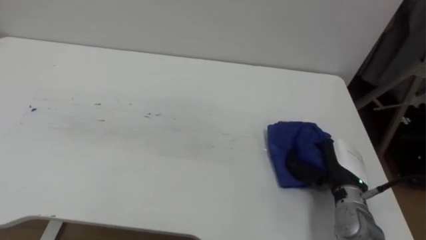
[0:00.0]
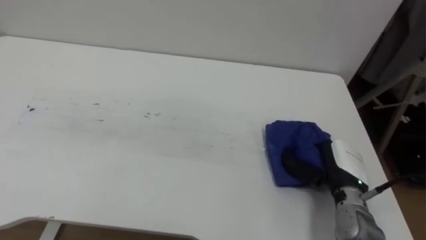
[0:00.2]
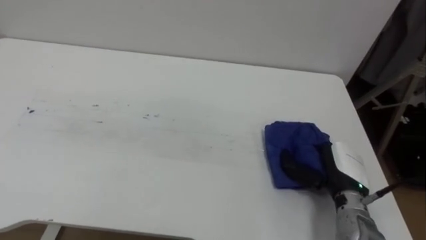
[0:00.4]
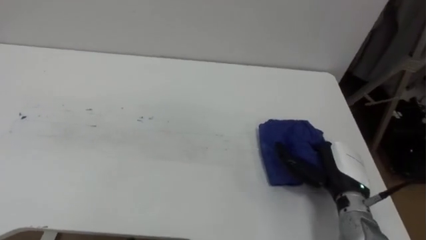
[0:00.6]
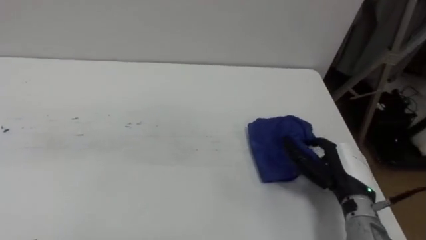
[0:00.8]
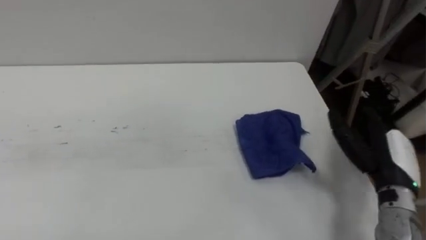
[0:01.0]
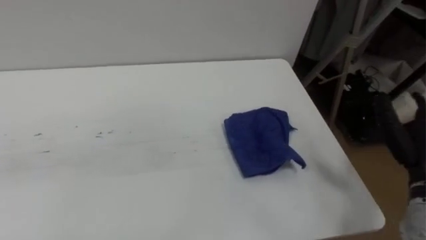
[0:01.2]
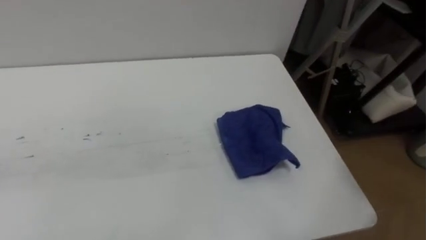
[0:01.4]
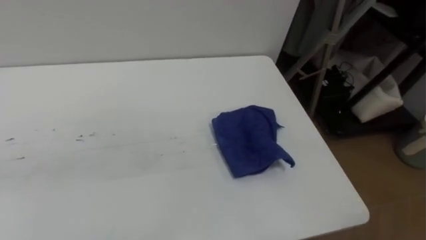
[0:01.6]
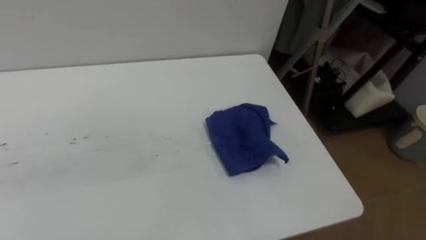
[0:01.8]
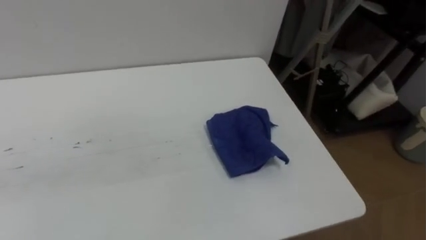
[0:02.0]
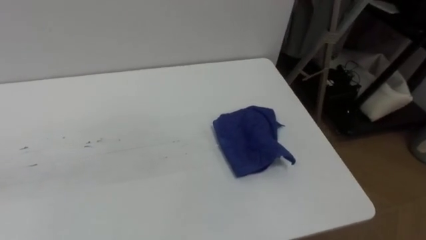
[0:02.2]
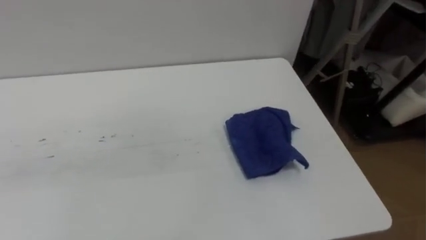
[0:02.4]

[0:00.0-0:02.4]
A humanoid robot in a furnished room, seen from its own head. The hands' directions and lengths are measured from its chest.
Task of the whole recording: Wipe the blue pen marks off the table with the rag.
0:00.0 to 0:01.2: The right hand shifts approximately 15 cm to the right and upward, and opens up.

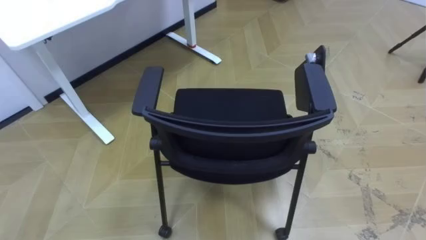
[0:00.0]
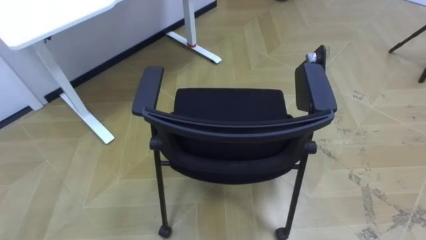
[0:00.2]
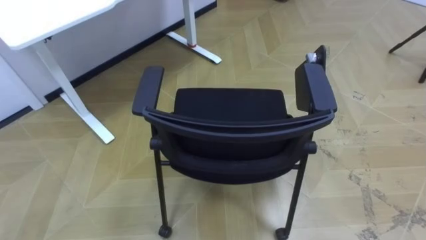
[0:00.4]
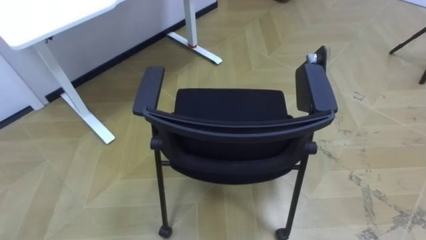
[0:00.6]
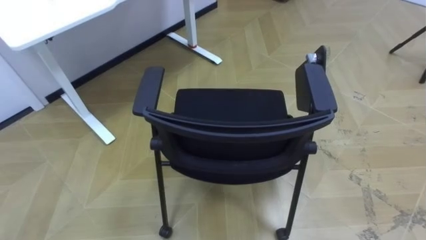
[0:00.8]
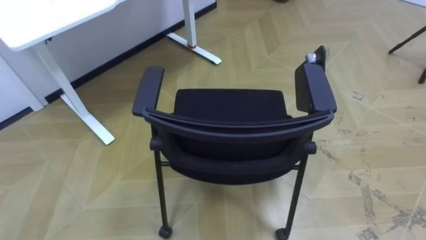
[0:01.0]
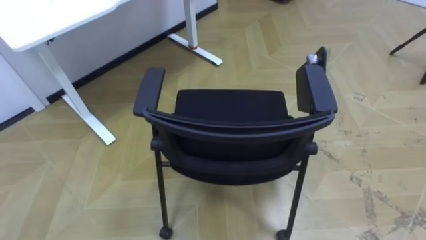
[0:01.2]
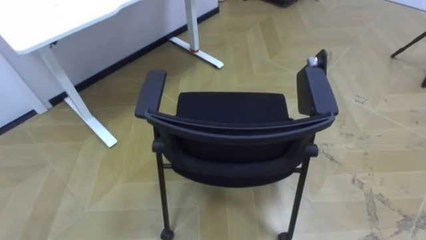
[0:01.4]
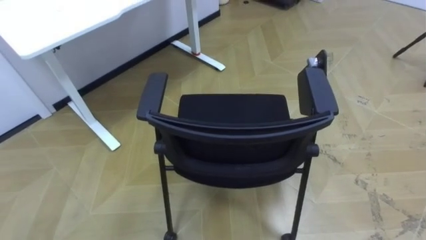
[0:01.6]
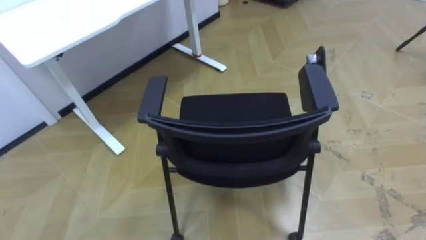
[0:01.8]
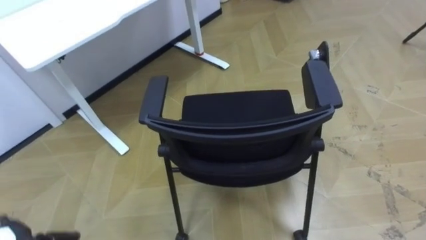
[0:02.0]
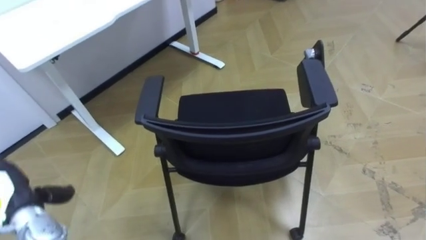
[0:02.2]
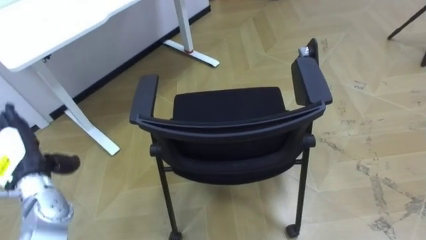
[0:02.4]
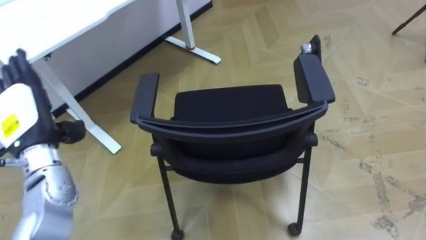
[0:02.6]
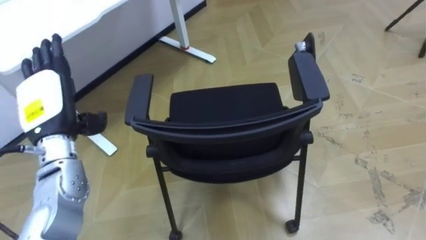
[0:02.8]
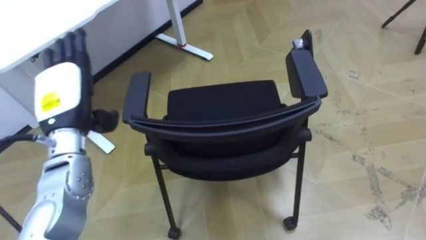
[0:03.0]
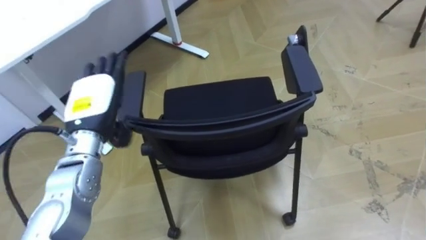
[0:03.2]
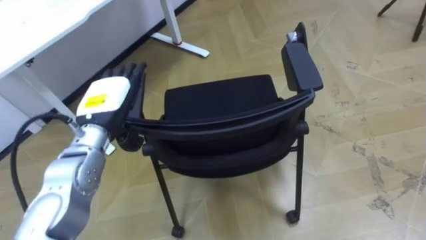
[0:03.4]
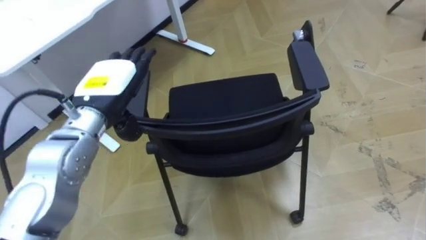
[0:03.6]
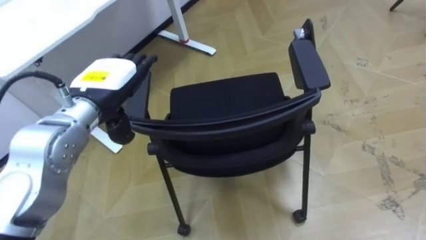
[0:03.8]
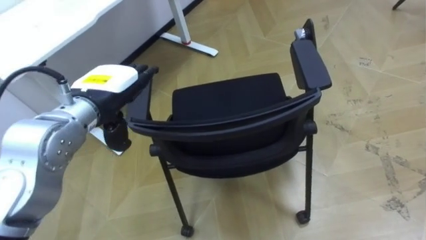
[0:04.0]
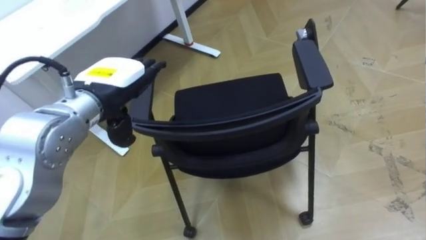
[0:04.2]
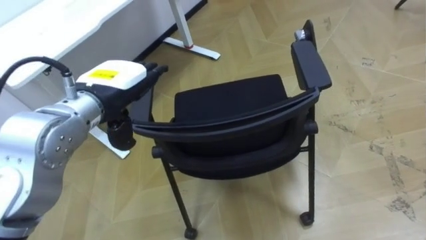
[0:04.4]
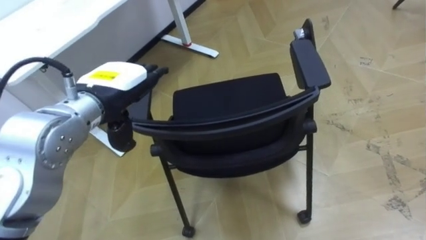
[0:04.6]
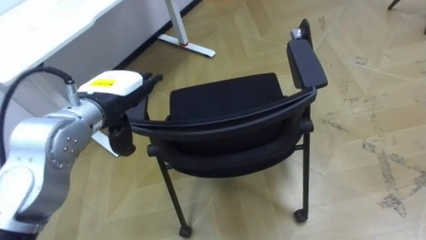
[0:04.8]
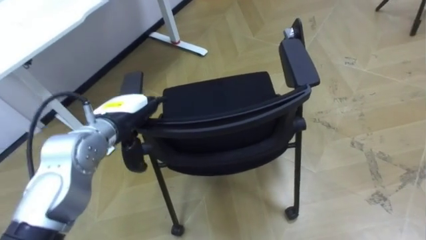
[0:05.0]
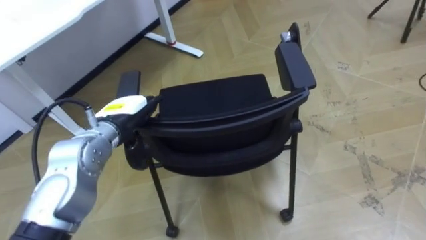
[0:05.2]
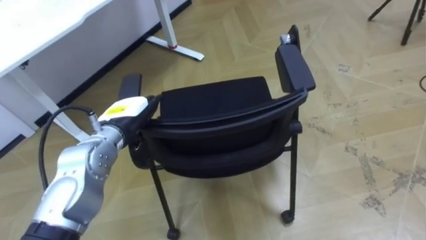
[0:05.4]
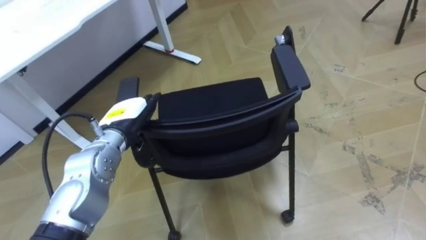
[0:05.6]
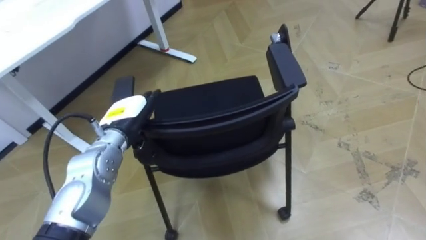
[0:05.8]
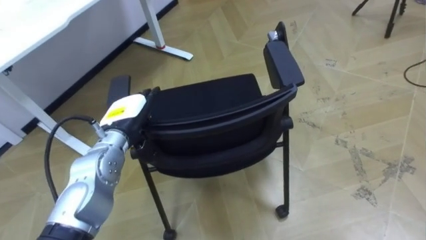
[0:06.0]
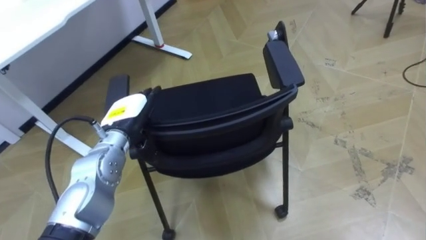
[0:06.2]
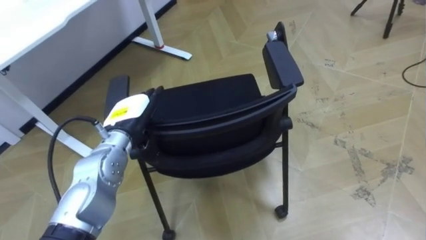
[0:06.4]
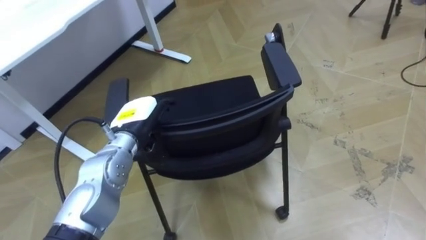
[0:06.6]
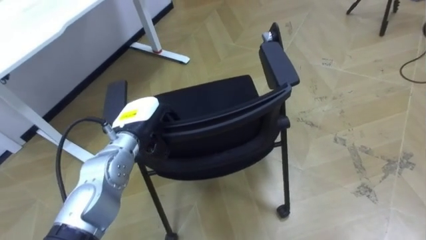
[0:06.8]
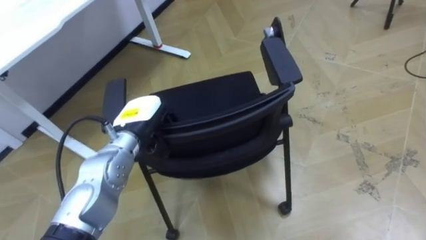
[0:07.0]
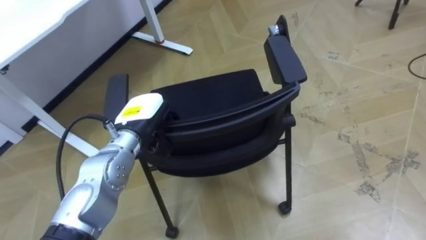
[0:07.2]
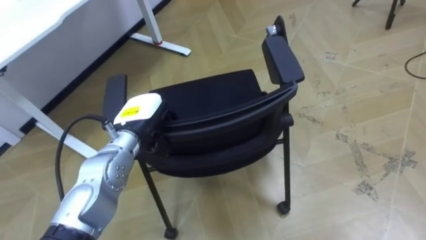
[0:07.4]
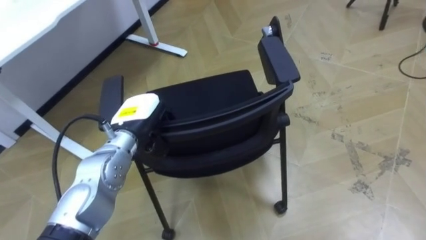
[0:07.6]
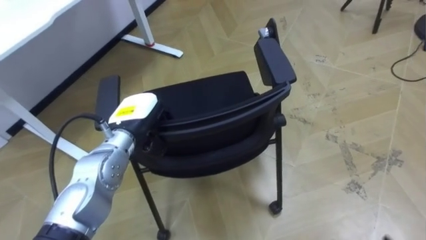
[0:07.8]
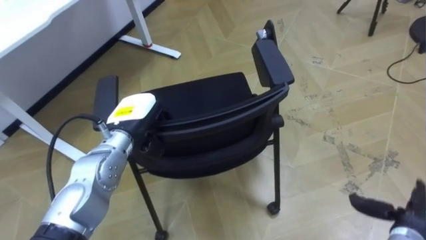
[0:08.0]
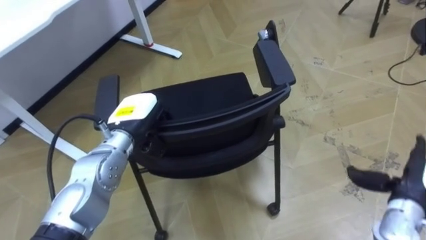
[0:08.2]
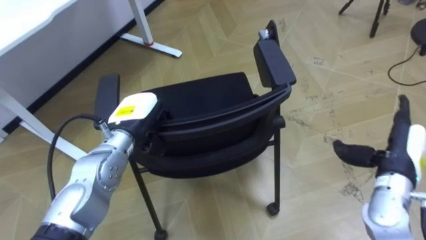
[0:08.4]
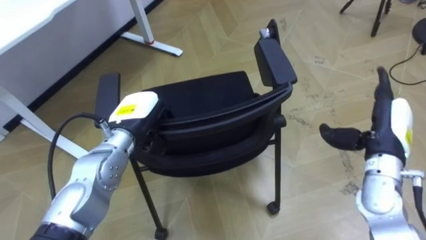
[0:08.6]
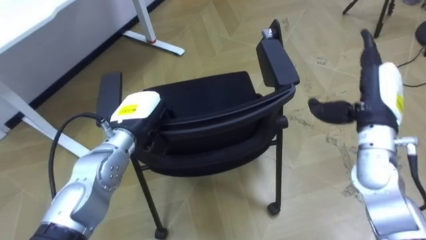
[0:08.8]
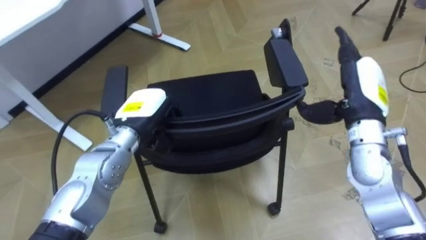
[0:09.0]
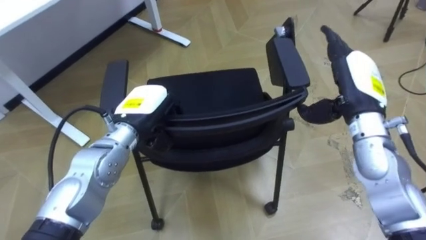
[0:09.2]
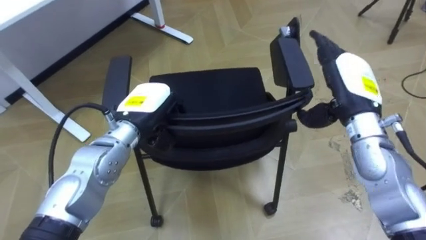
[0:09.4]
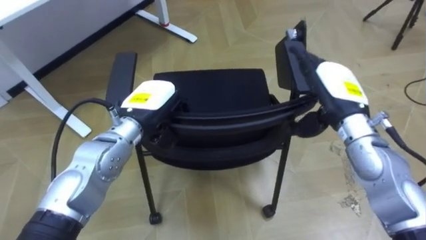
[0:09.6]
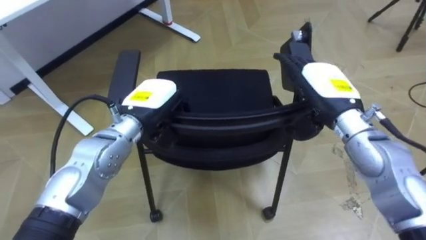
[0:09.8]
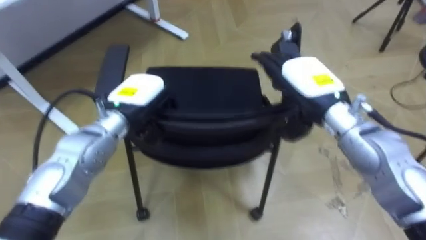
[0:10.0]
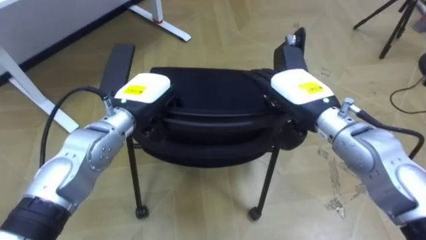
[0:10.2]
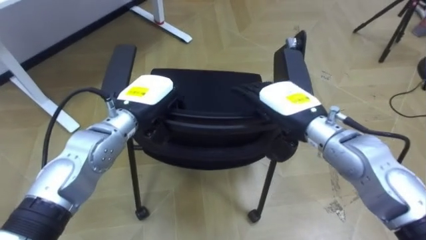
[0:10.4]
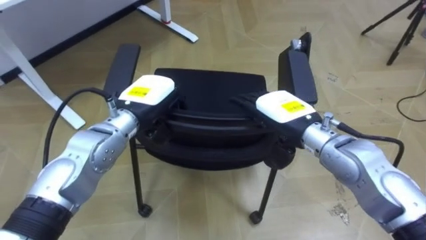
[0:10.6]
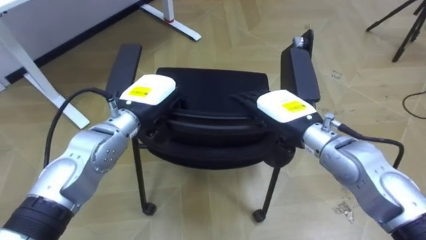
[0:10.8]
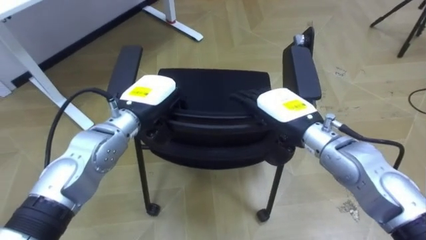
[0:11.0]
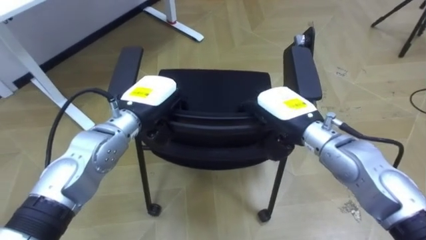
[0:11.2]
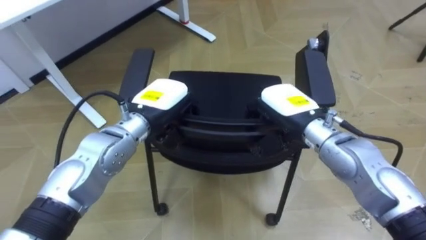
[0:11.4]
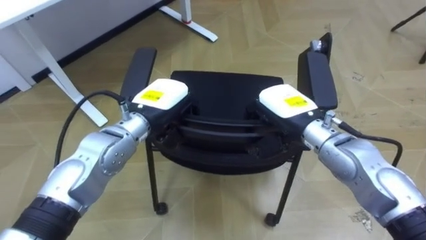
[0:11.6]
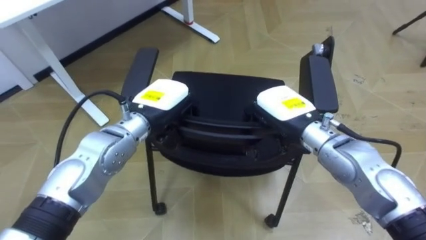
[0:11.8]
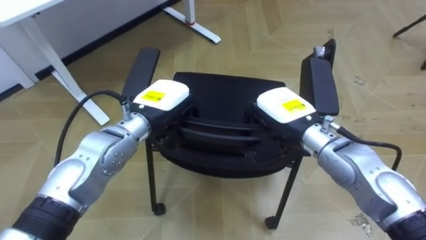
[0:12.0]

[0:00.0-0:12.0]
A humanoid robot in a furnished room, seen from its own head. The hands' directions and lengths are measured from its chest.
Task of the whole recording: Push the chair under the table.
0:03.0 to 0:04.4: The left hand is displaced to the right by approximately 10 cm.
0:04.4 to 0:06.0: The left hand shifts about 10 cm downward.
0:06.0 to 0:07.6: The left hand closes up.
0:09.0 to 0:10.4: The right hand moves to the left, some 10 cm.
0:10.4 to 0:12.0: The right hand closes up.

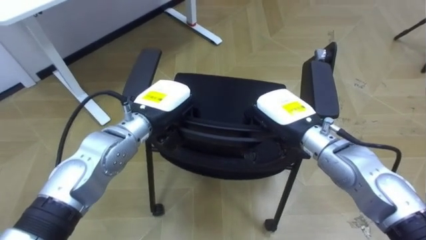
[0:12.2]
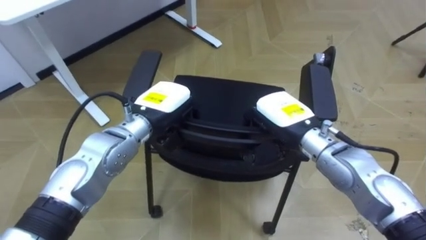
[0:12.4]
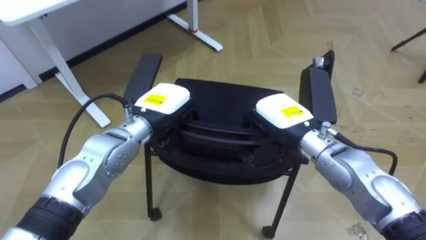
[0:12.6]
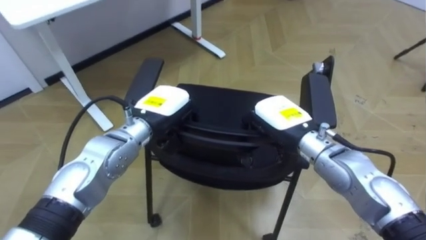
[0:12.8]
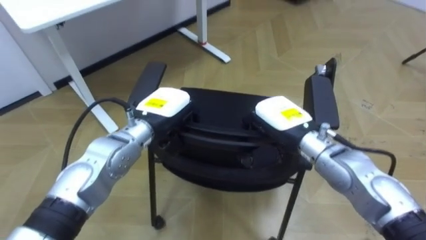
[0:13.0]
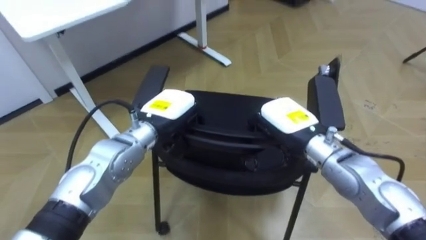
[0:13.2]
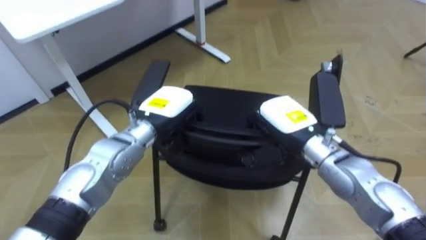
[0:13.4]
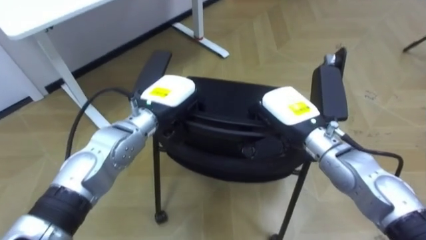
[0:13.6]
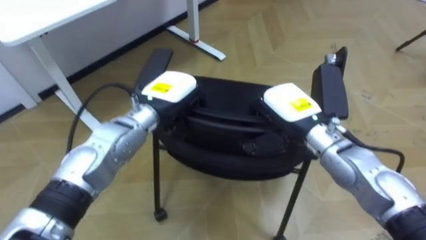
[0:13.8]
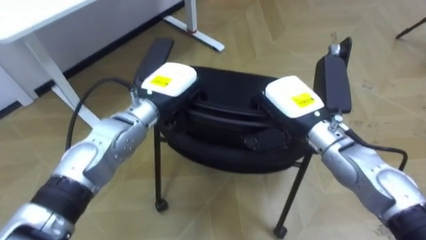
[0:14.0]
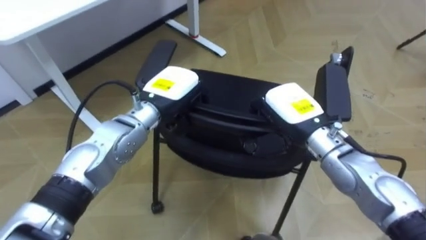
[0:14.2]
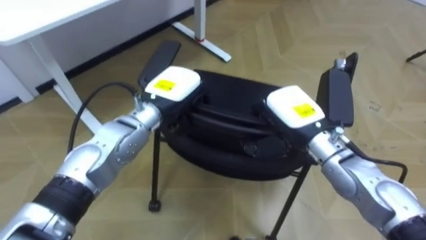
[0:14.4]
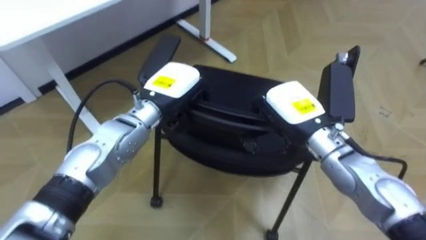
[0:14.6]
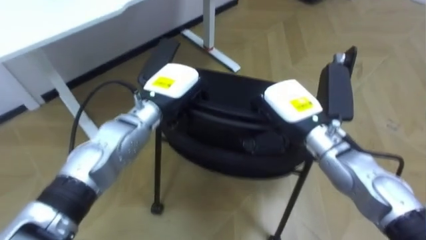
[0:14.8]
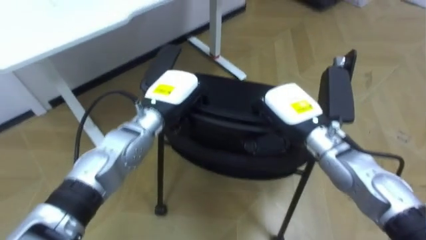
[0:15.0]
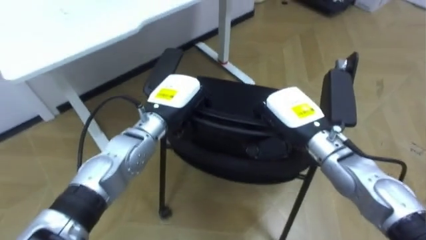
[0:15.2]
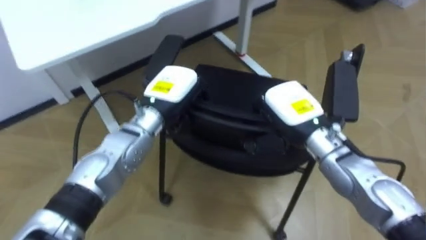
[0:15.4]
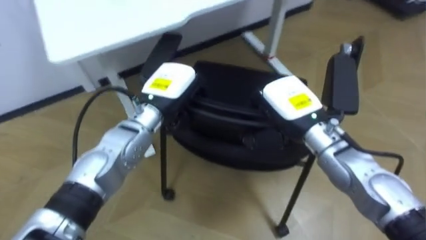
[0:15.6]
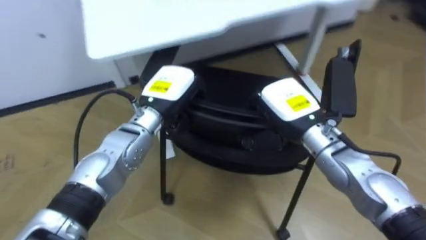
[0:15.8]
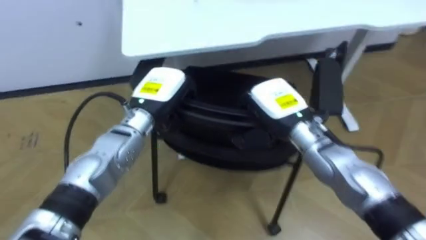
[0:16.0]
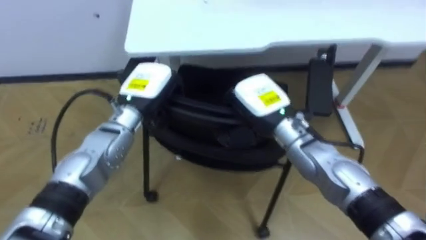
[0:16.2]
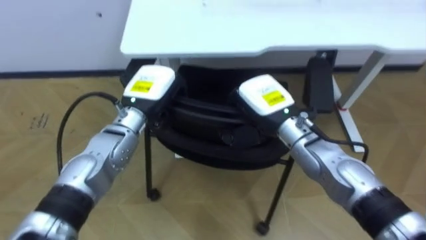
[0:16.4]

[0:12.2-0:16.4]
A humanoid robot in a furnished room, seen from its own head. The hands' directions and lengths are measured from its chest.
Task of the whole recording: Push the chair under the table.
0:15.0 to 0:16.4: The robot faces approximately 25 degrees further to its left. The right hand moves about 5 cm.
